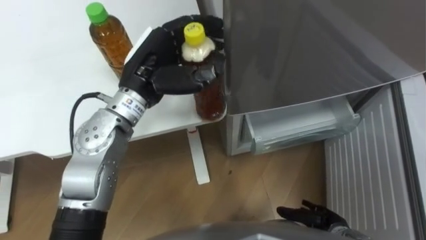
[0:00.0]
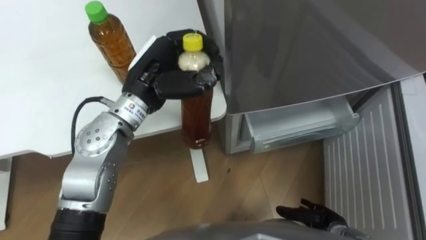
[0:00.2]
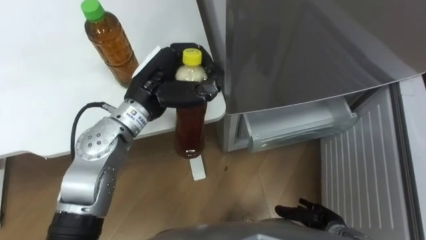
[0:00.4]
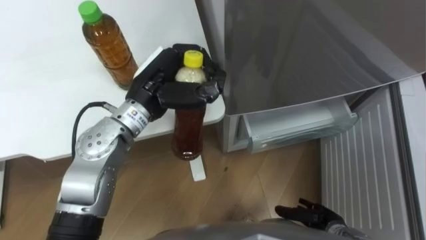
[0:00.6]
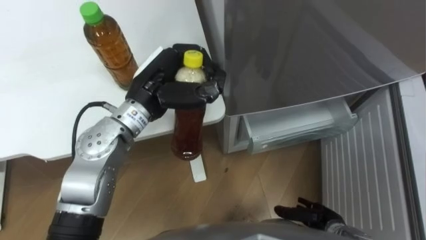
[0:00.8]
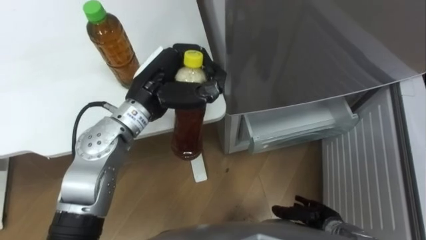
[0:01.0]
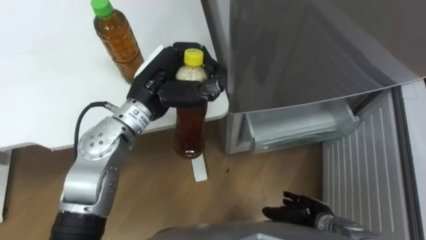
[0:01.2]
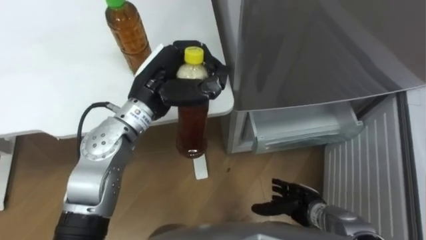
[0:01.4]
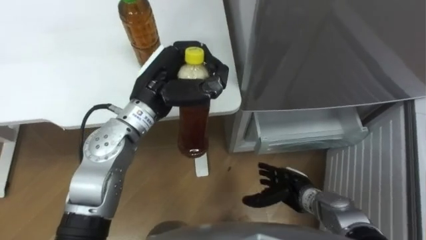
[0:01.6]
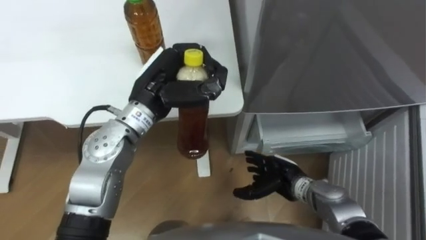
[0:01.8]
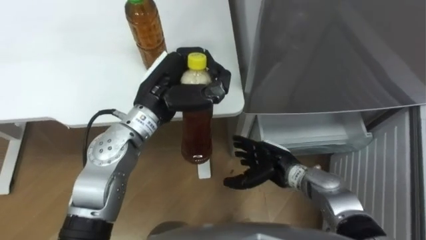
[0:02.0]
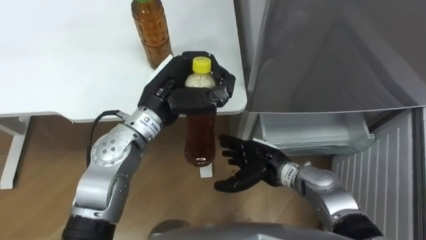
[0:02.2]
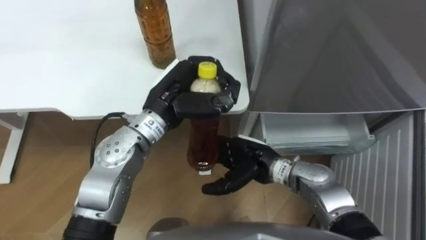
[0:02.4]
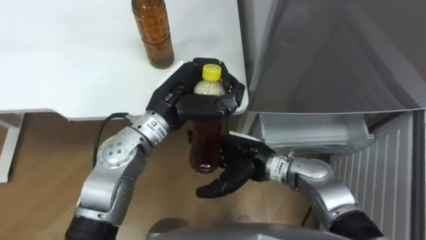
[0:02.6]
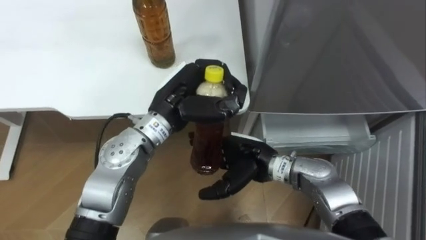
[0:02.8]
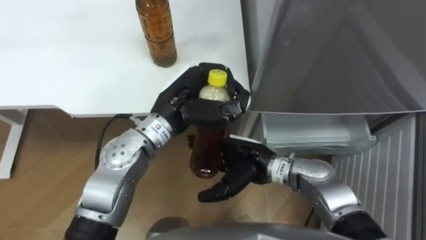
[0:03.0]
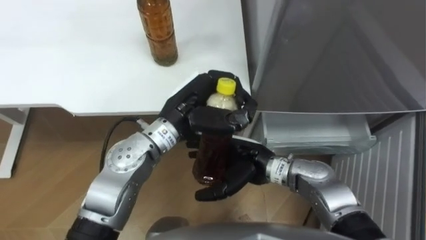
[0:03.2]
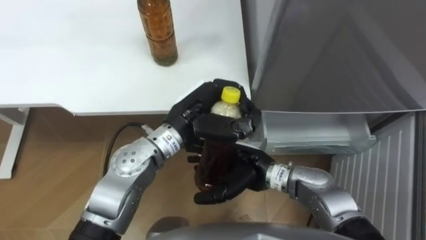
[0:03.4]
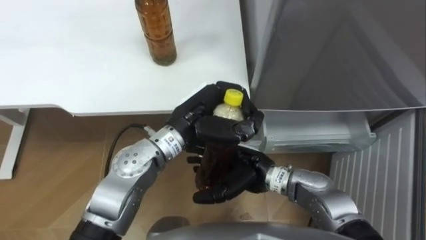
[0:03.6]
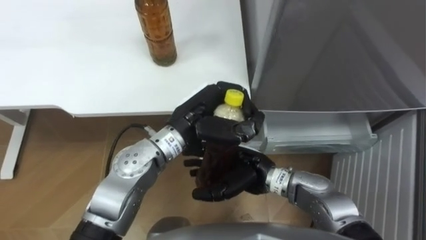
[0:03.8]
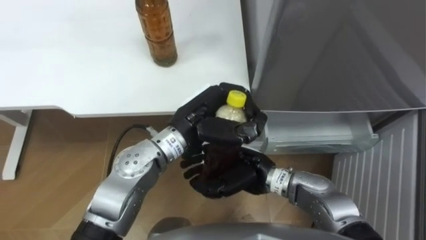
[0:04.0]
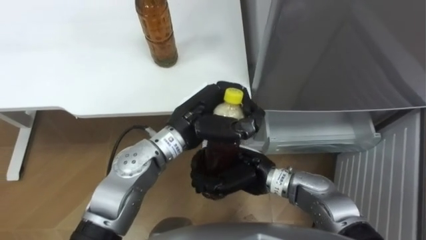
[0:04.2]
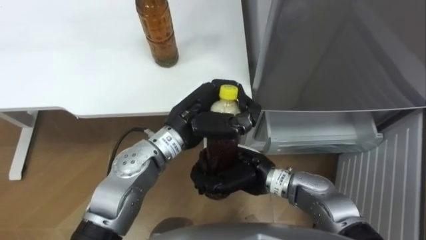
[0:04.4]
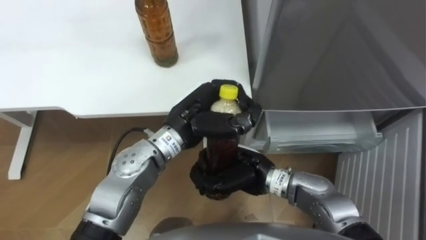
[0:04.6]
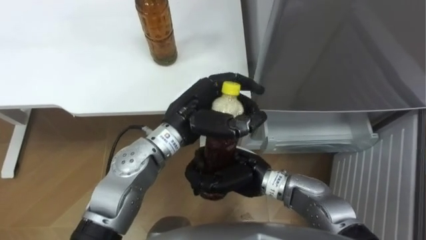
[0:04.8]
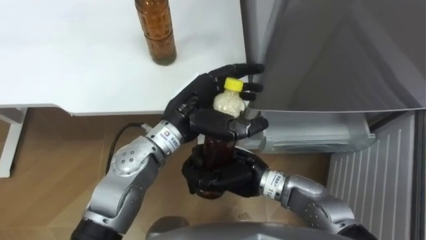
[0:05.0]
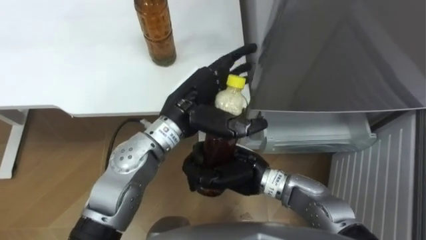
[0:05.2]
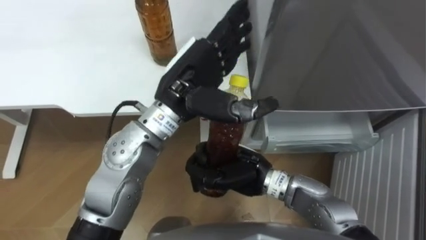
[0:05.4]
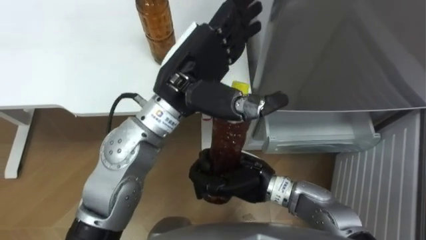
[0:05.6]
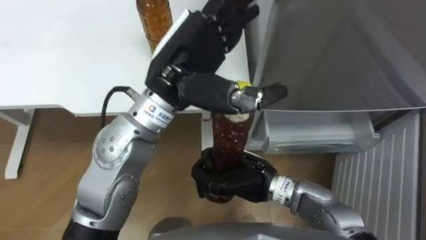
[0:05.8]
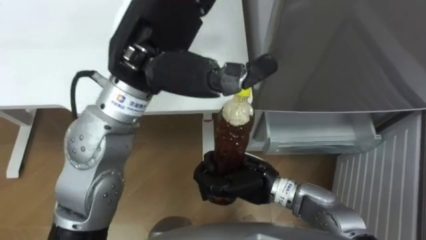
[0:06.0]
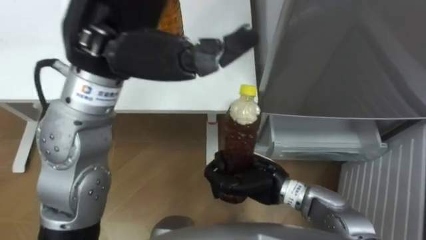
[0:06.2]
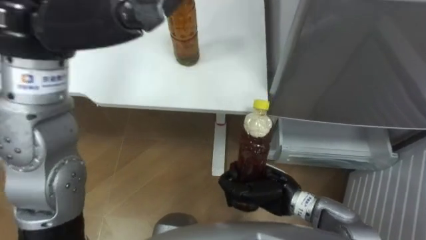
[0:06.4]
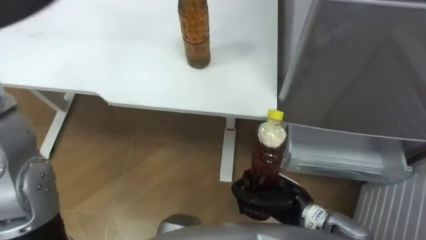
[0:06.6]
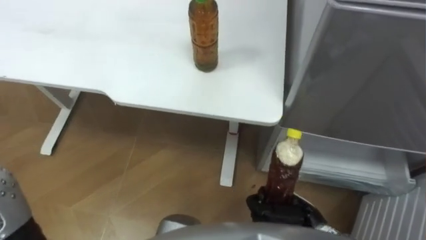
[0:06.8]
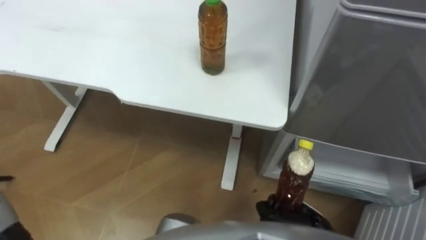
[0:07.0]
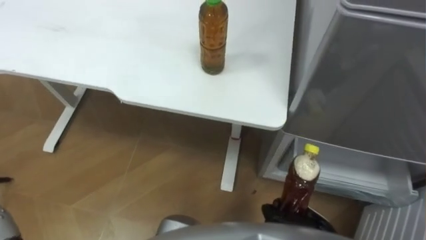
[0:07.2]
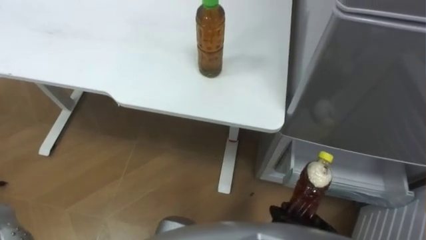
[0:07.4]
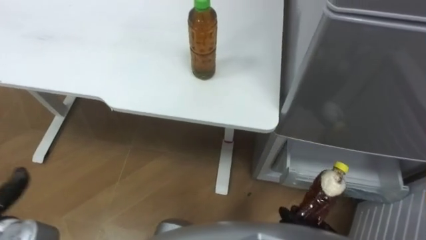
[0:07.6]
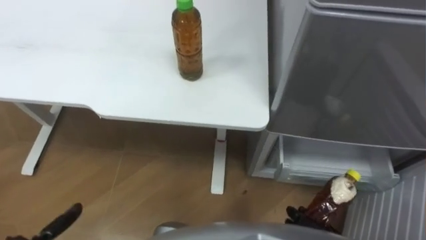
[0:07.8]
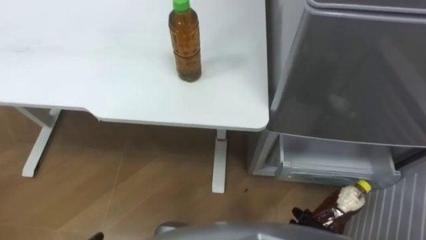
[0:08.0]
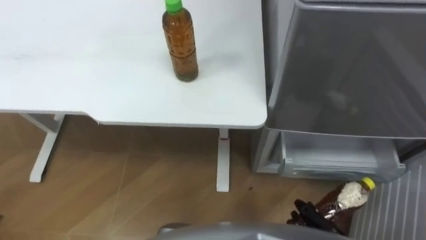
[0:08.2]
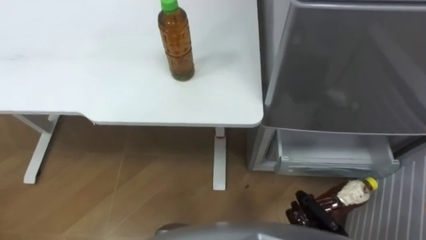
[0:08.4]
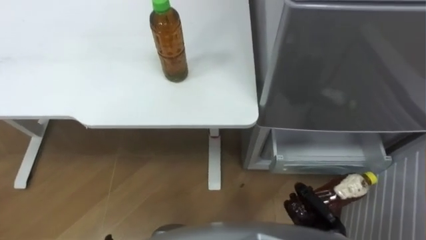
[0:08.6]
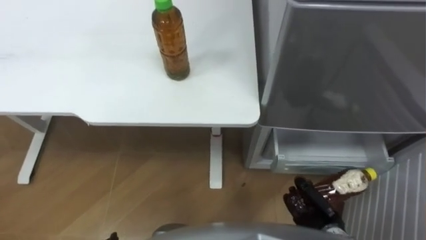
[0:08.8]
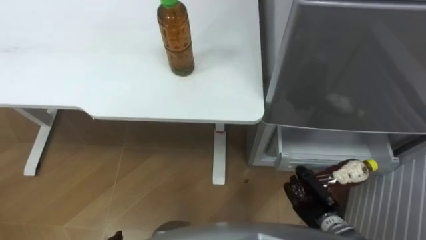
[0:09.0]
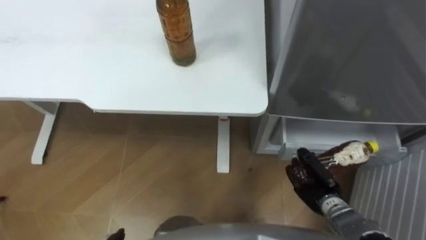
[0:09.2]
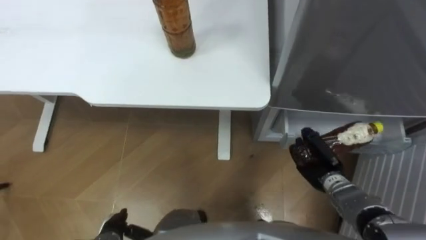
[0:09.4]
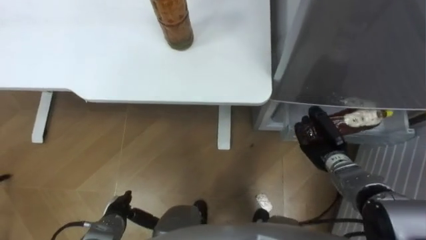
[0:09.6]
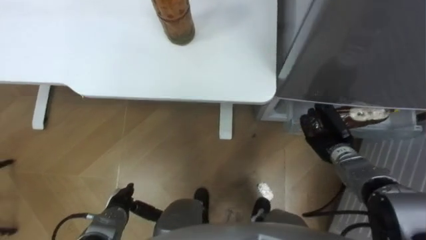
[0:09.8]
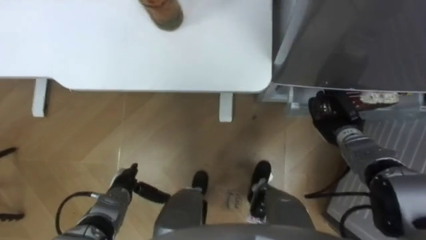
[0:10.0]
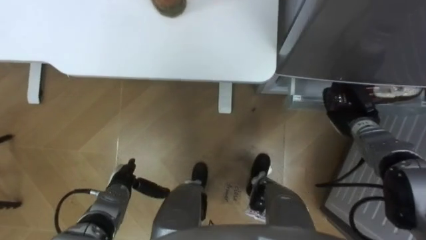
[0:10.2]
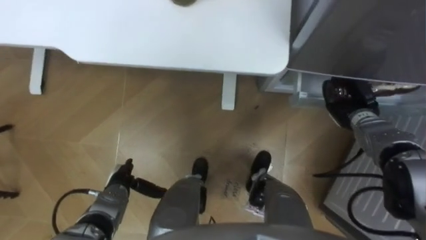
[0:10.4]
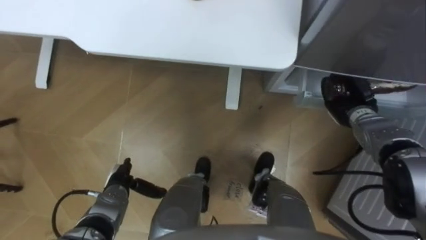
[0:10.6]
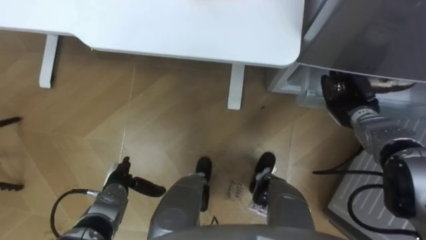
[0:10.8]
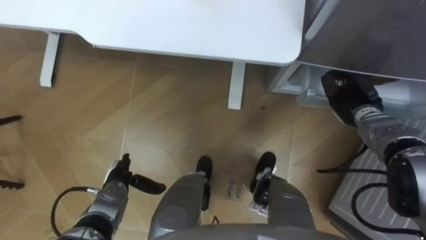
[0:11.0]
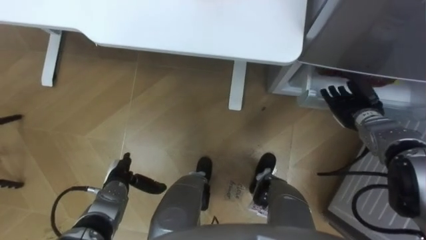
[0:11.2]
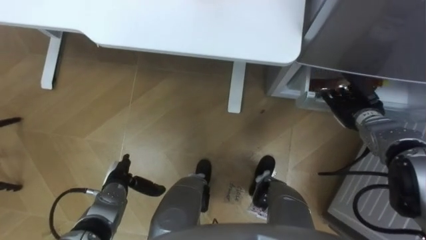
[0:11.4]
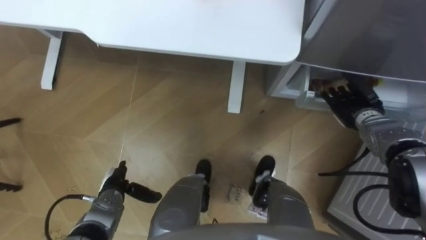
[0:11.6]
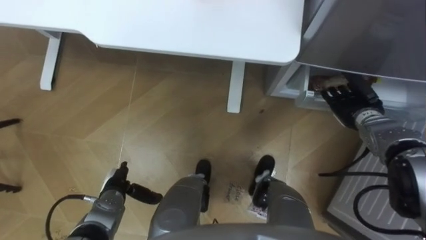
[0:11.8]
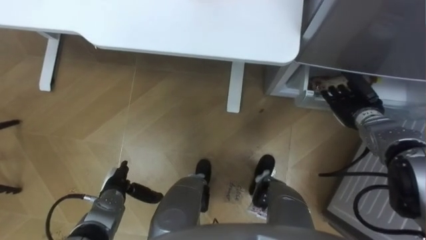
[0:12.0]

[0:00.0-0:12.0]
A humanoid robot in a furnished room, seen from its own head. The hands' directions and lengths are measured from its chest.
Task of the whole recording: Place the drink on the table on the bottom shelf of the refrigerator, then close the drawer and the refrigerator door.
0.0 to 1.6 s: The left hand closes up. The right hand moves forward and to the left, roughly 10 cm.
1.6 to 3.0 s: The right hand goes some 15 cm upward and to the left.
3.0 to 4.4 s: The right hand closes its fingers.
4.4 to 6.0 s: The left hand moves upward, roughly 20 cm, and opens up.
9.0 to 10.4 s: The right hand moves forward and upward, about 25 cm.
10.4 to 12.0 s: The right hand opens.

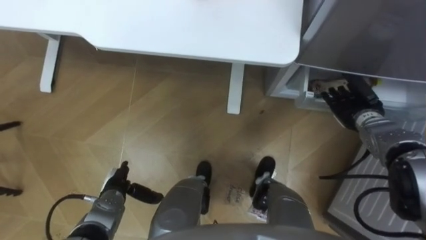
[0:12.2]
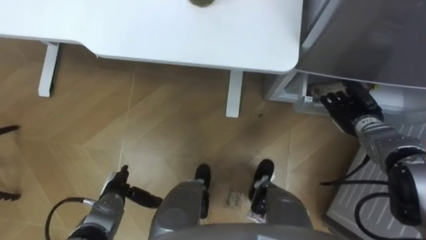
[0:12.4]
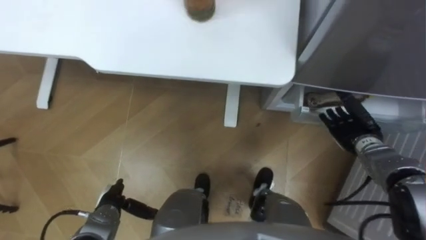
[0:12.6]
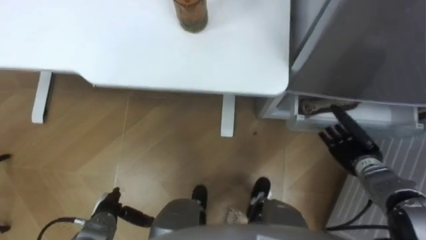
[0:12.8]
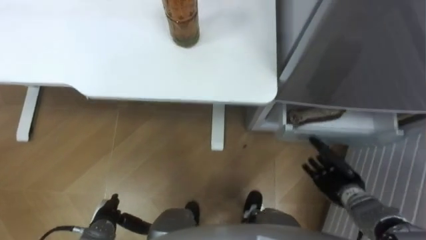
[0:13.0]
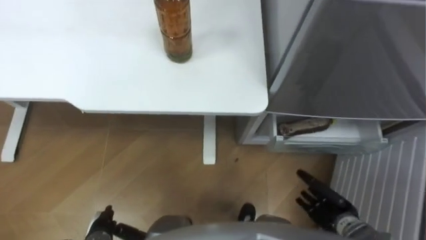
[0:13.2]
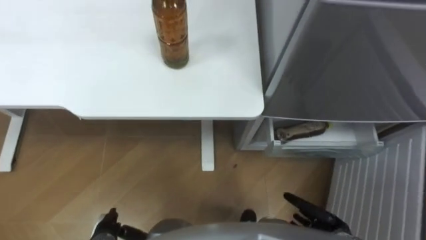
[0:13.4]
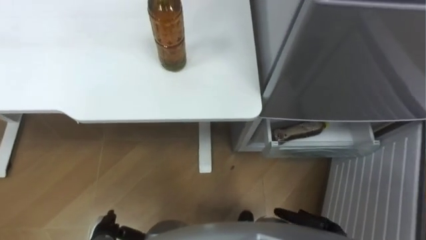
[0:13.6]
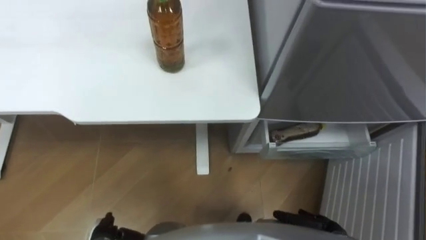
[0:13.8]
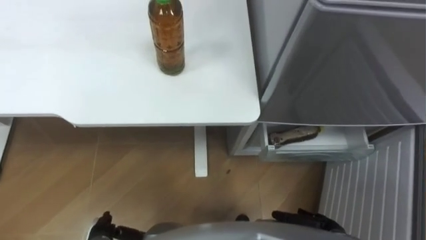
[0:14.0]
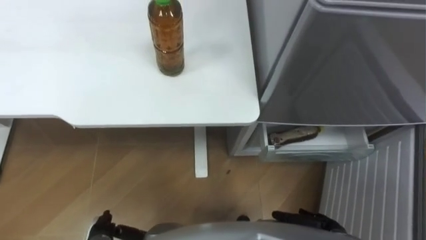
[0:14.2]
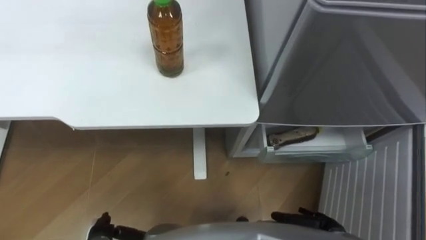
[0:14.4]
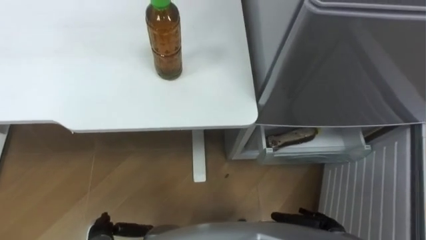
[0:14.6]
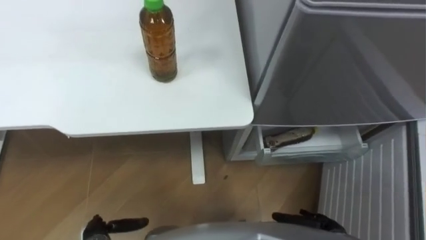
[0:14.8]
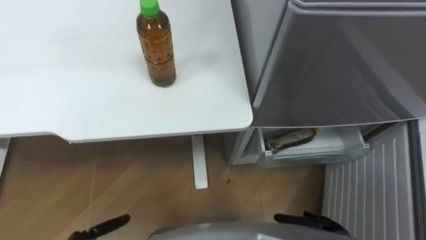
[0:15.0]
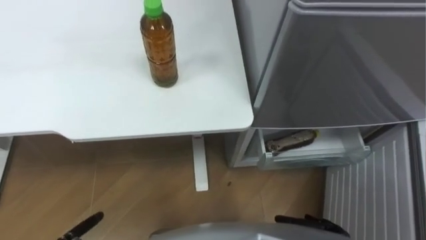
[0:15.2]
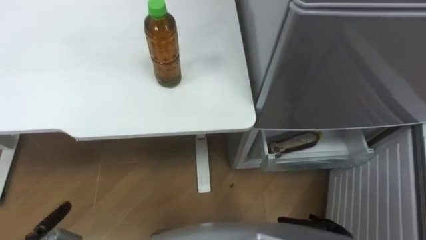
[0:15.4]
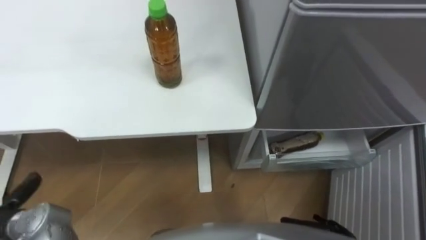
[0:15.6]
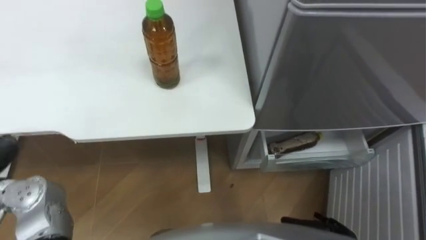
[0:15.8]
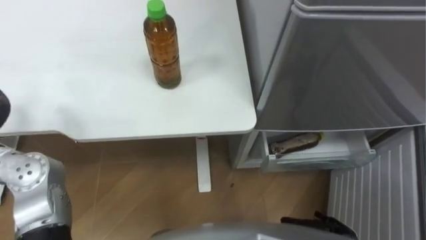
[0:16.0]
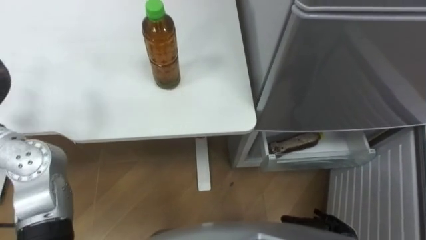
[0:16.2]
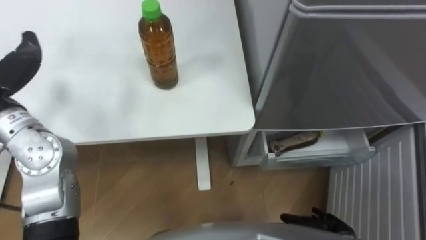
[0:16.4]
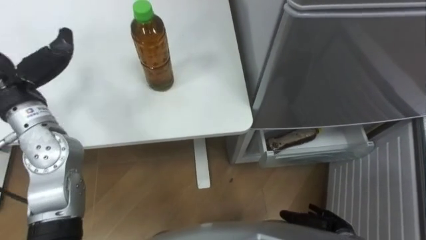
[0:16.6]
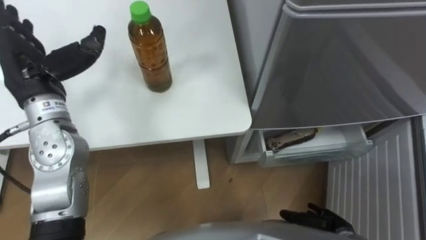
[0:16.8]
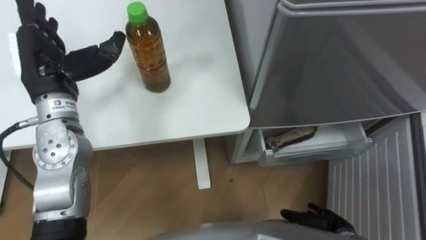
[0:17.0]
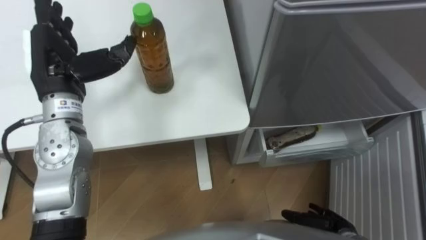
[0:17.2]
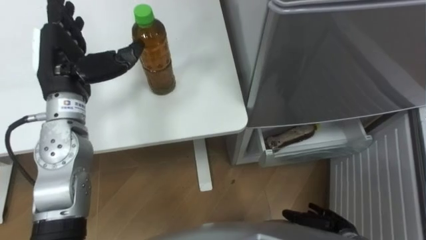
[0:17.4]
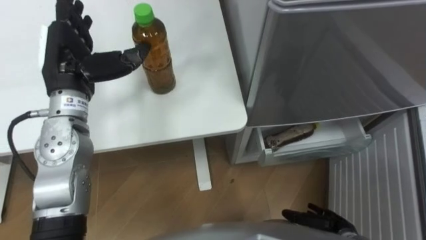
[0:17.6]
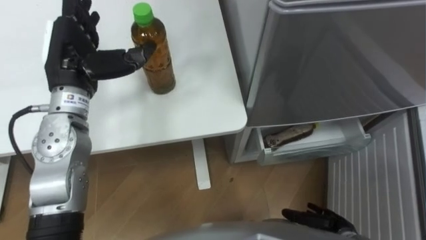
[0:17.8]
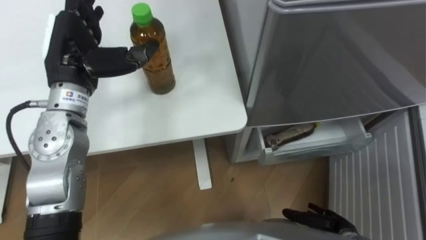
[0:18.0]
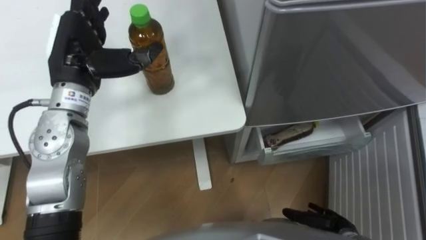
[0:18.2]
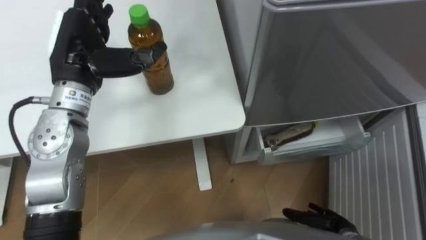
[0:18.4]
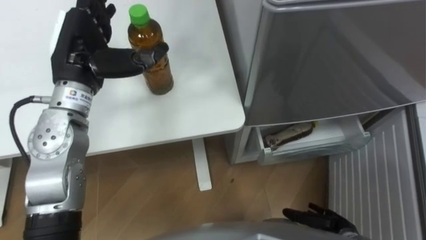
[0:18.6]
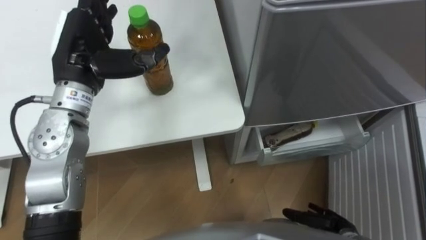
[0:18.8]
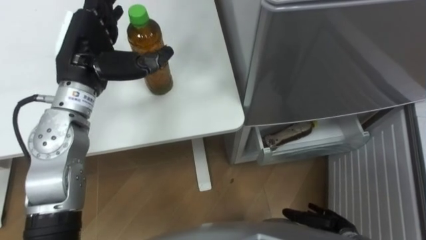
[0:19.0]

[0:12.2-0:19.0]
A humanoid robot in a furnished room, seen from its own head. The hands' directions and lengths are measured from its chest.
Task of the whole recording: Place the drink on the table on the bottom shelf of the refrigerator, then close the drawer and the refrigerator door.
12.2 to 13.6 s: The right hand shifts about 30 cm backward and downward. The left hand heads backward, covering roughly 10 cm.
17.6 to 19.0 s: The hands stay close to where they were, moving slightly.
